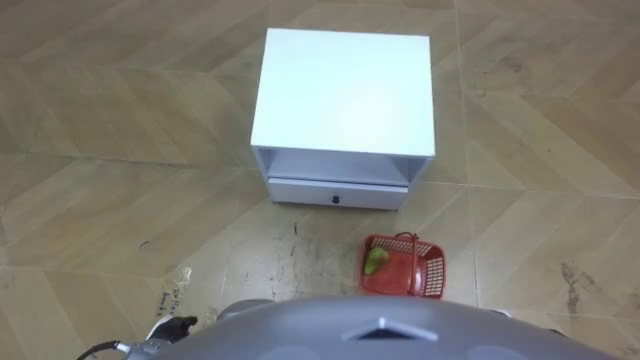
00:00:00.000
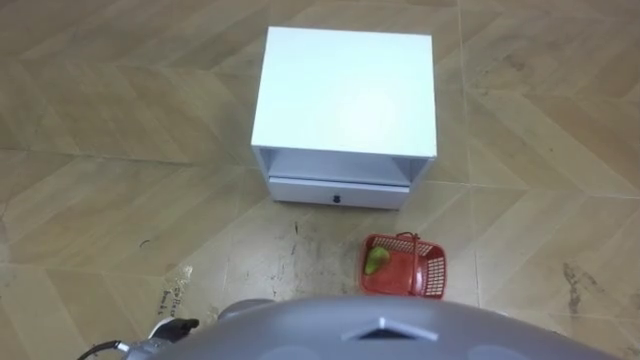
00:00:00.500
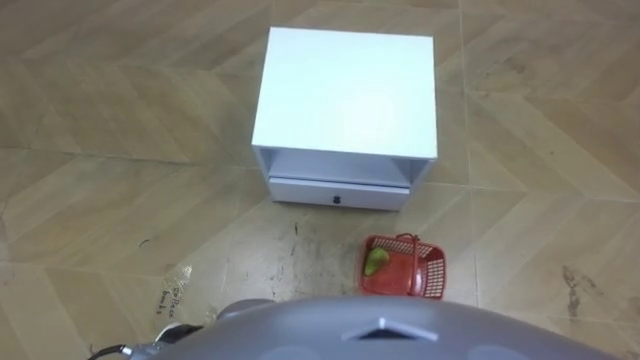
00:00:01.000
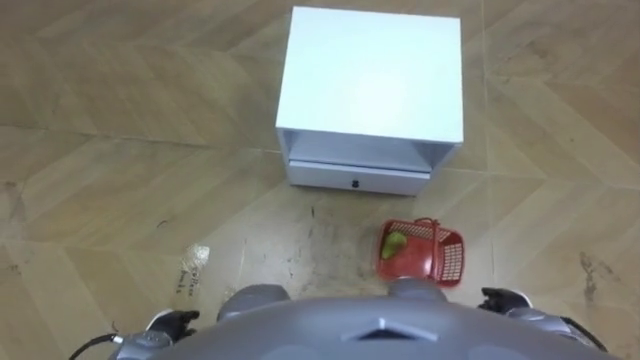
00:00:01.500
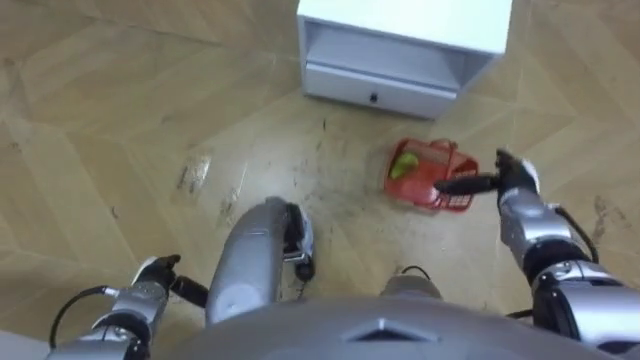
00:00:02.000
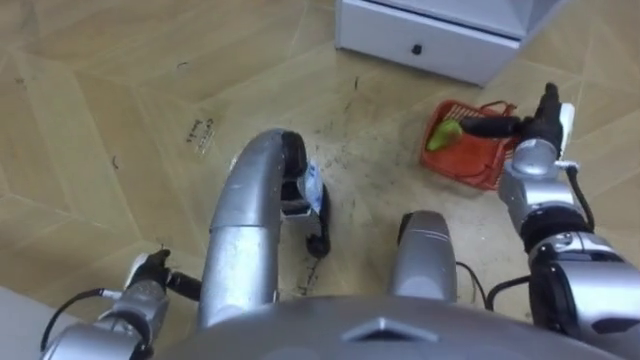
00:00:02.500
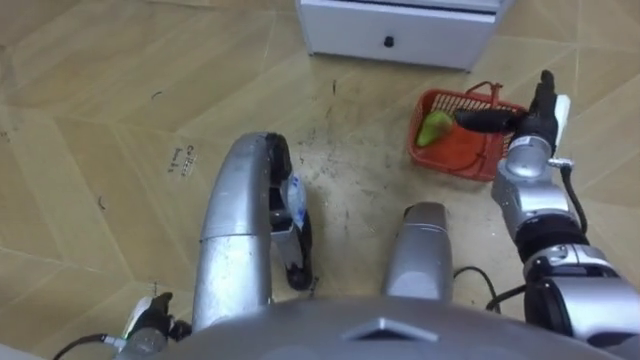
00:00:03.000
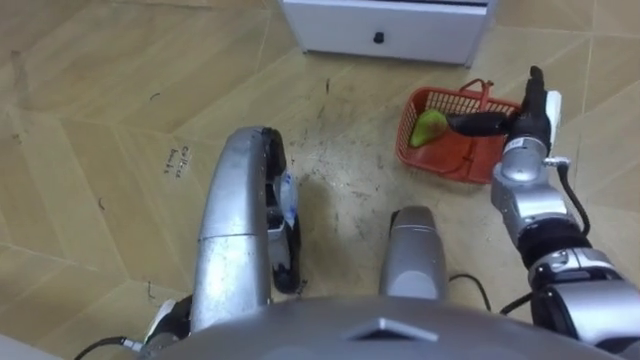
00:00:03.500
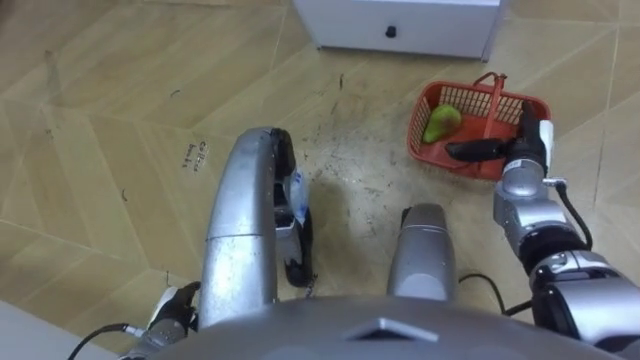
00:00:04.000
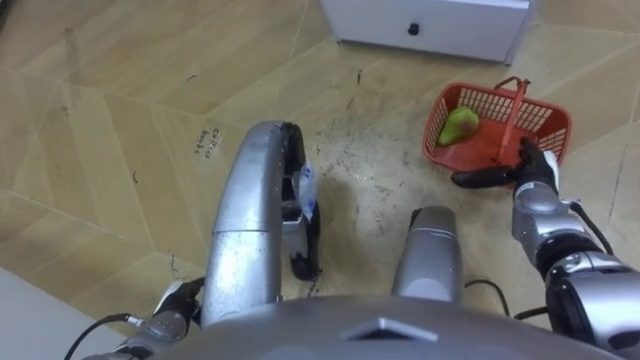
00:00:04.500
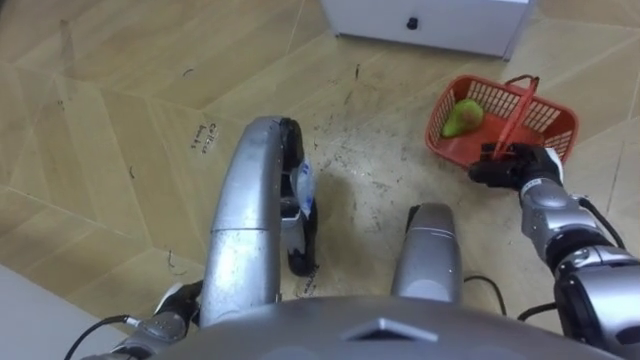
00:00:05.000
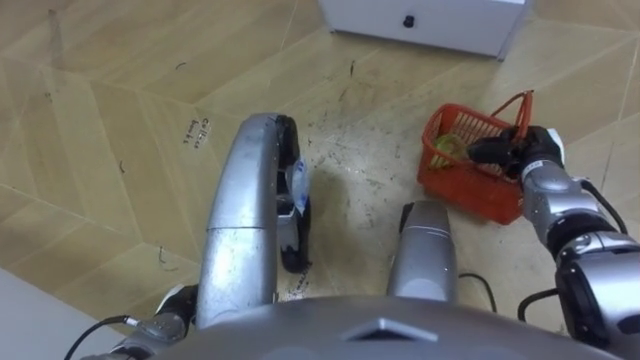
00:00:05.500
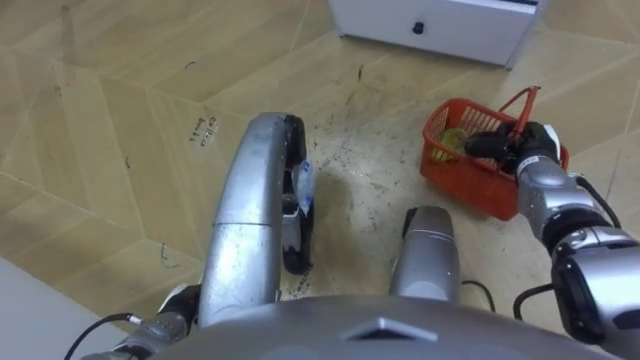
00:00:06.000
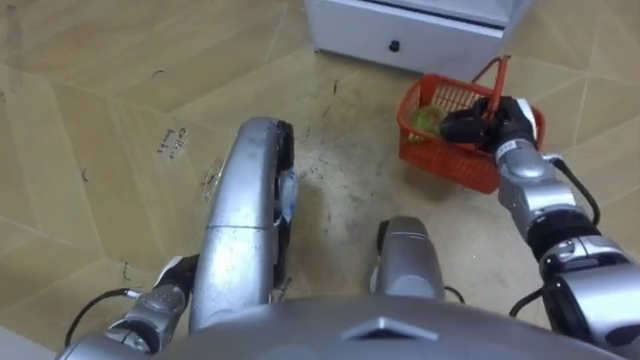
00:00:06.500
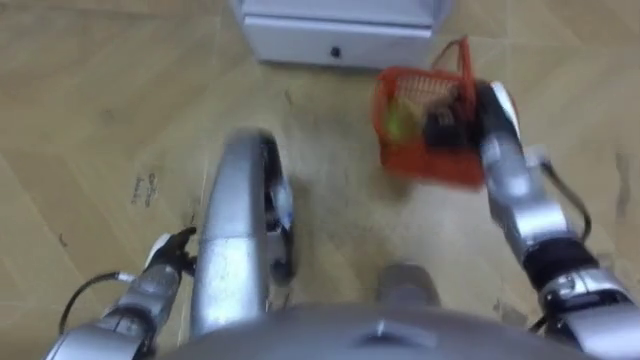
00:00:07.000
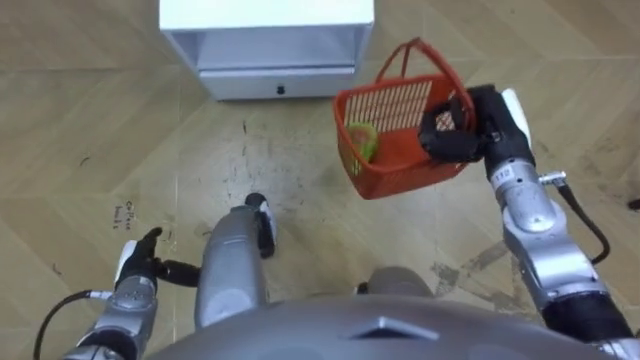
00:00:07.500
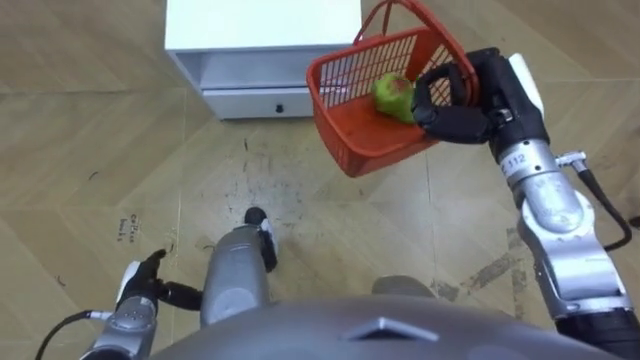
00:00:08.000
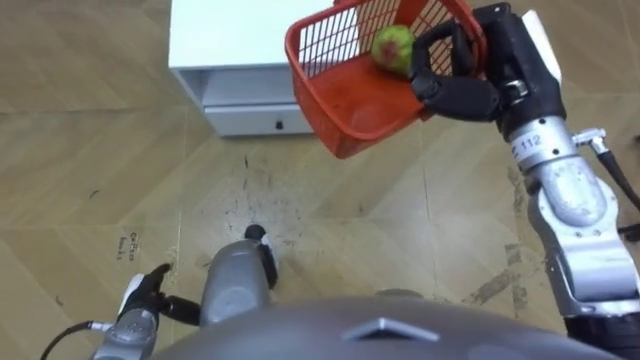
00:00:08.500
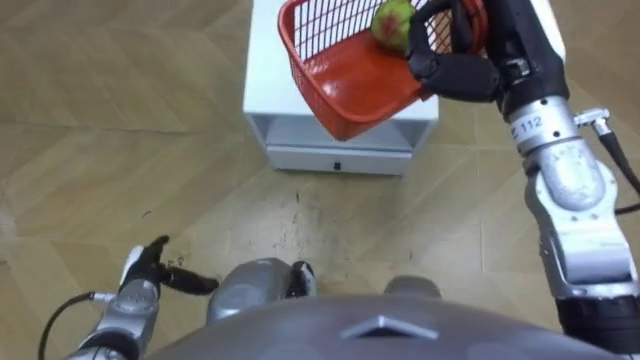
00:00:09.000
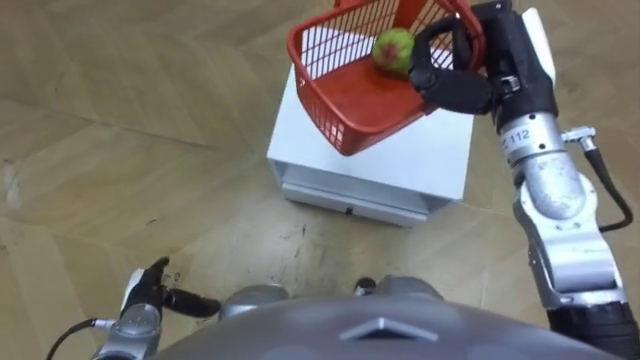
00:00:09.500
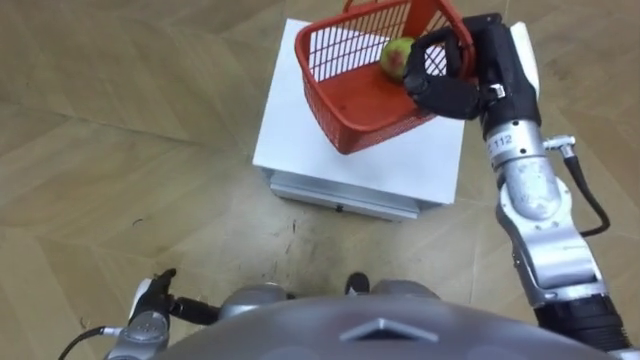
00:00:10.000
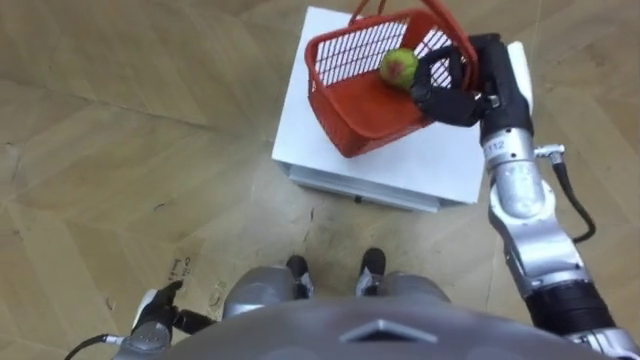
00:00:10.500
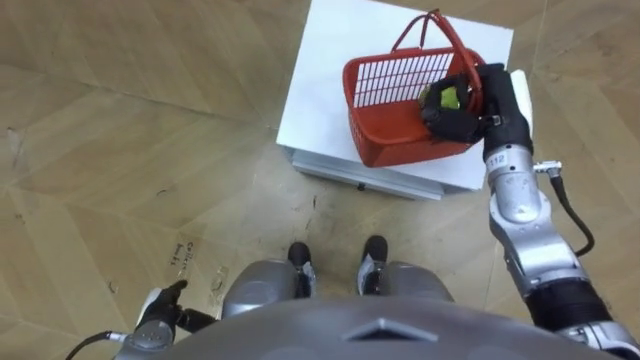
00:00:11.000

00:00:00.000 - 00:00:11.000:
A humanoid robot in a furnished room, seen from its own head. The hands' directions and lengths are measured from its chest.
Task of the whole recording: Pick up the fruit basket from the floor and place it on the cabinet.
00:00:02.000 - 00:00:03.500: The left hand moves backward, roughly 5 cm. The right hand moves upward and forward, approximately 10 cm.
00:00:03.500 - 00:00:05.500: The right hand ends up roughly 5 cm from where it was, and closes up.
00:00:05.500 - 00:00:07.500: The robot turns to its right by roughly 20 degrees. The left hand shifts about 10 cm forward and to the left, while the right hand goes some 10 cm upward and to the left.
00:00:07.500 - 00:00:09.000: The right hand shifts some 15 cm upward.
00:00:09.000 - 00:00:11.000: The left hand shifts roughly 5 cm backward. The right hand travels downward by about 10 cm.

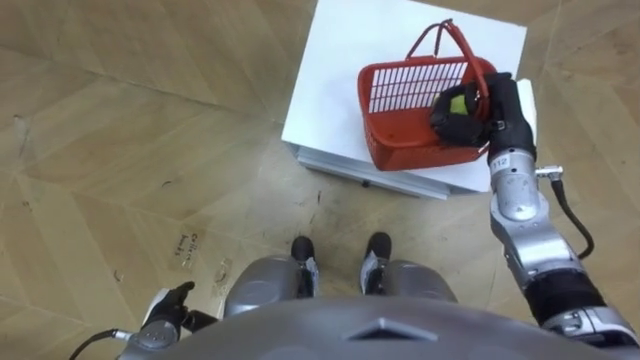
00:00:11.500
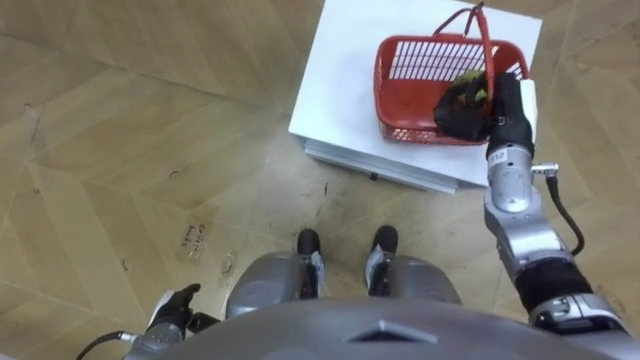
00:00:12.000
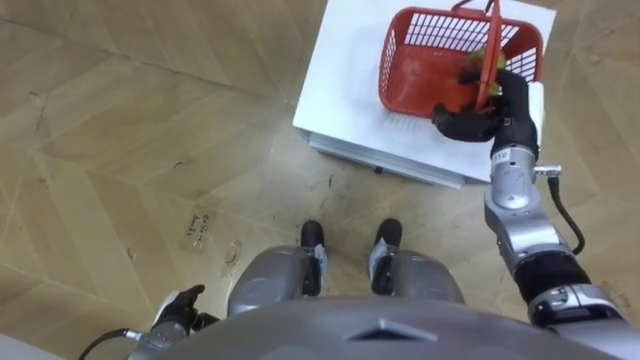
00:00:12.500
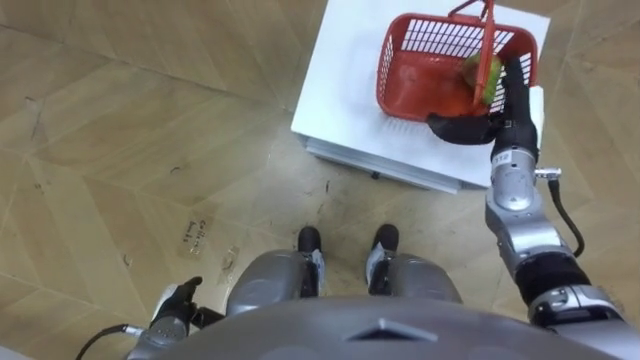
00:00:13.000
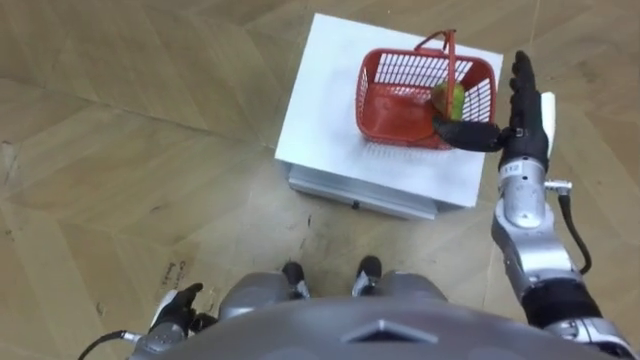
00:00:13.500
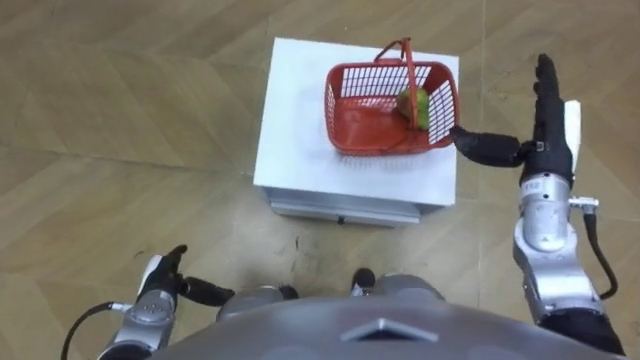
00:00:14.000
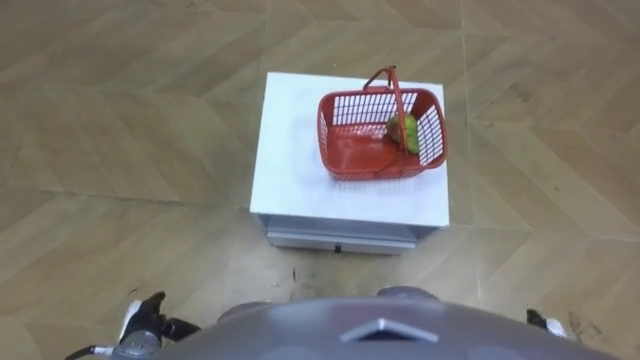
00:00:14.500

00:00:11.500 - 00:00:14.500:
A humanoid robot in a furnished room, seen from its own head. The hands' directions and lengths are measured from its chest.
Task of the whole recording: Pick up the fruit basket from the floor and place it on the cabinet.
00:00:11.500 - 00:00:13.000: The right hand opens its fingers.
00:00:13.000 - 00:00:14.500: The right hand travels backward and downward by about 30 cm.

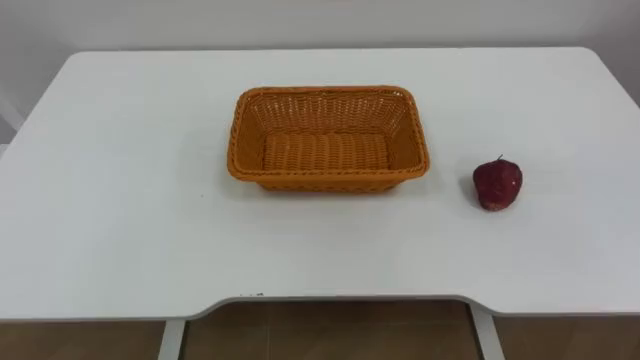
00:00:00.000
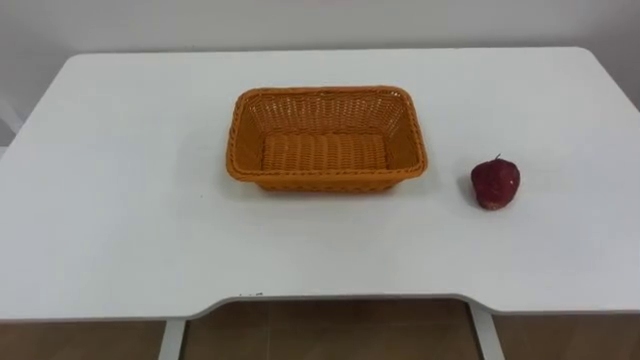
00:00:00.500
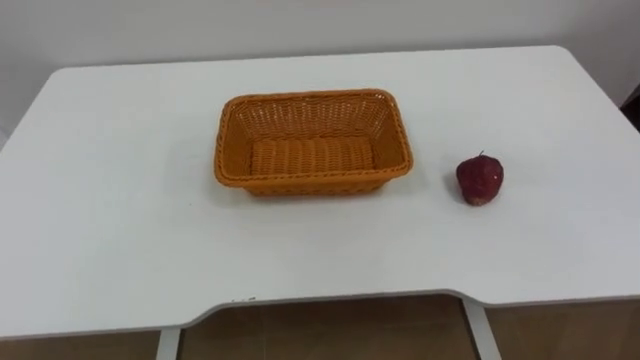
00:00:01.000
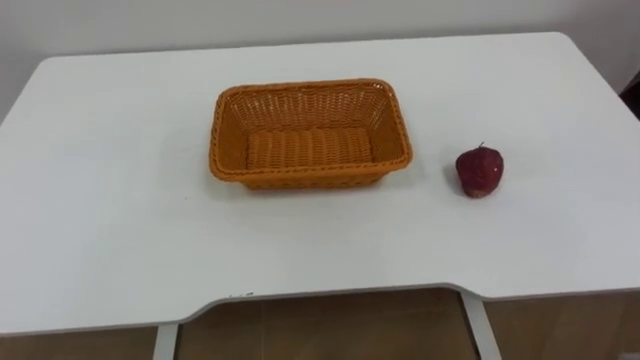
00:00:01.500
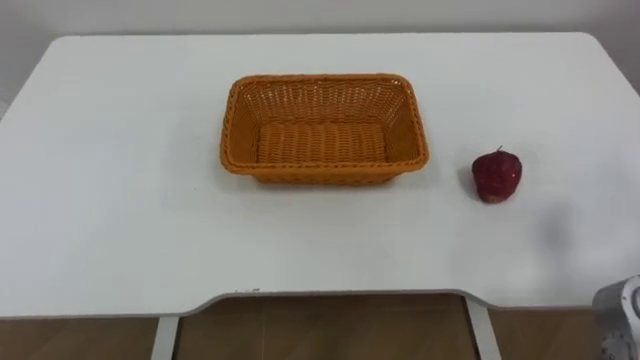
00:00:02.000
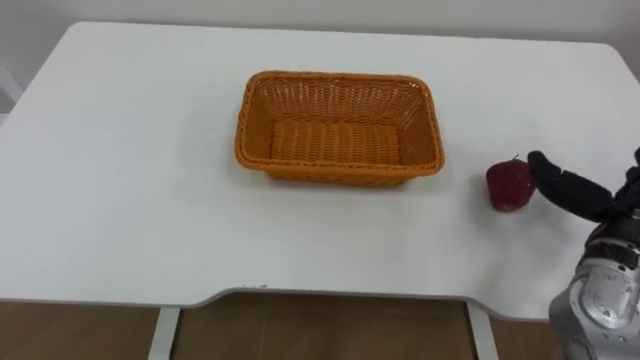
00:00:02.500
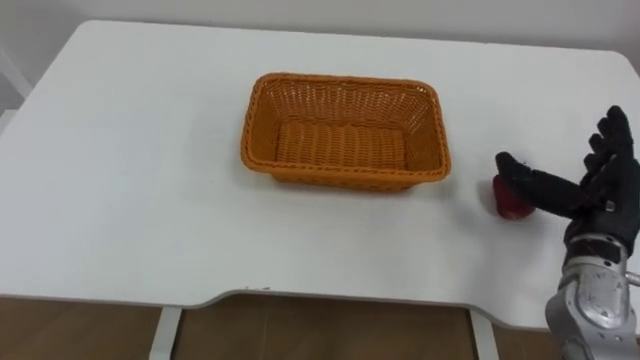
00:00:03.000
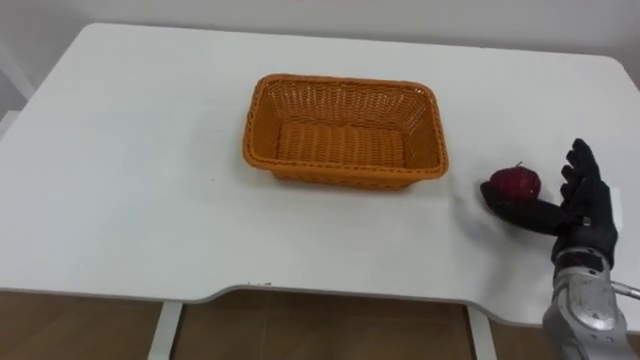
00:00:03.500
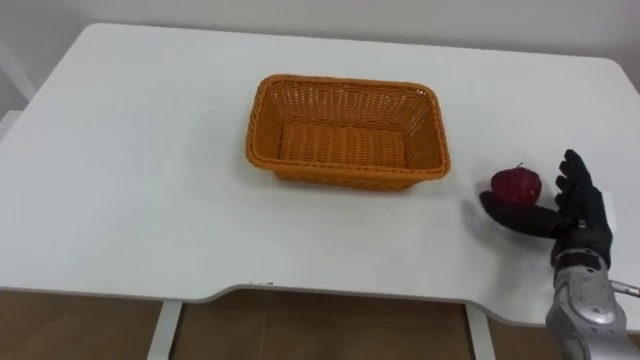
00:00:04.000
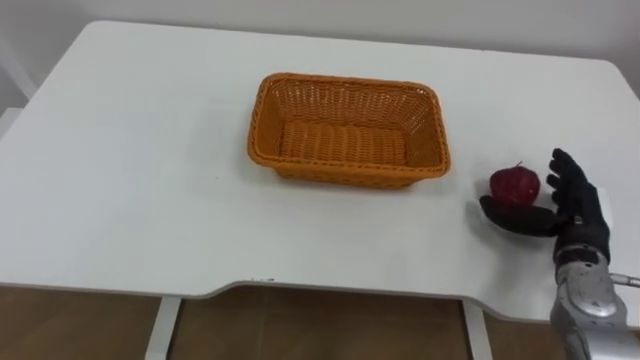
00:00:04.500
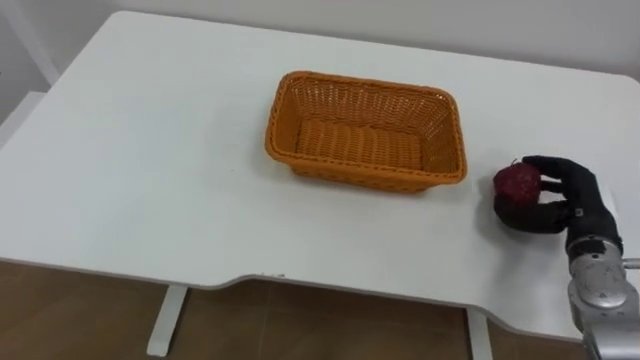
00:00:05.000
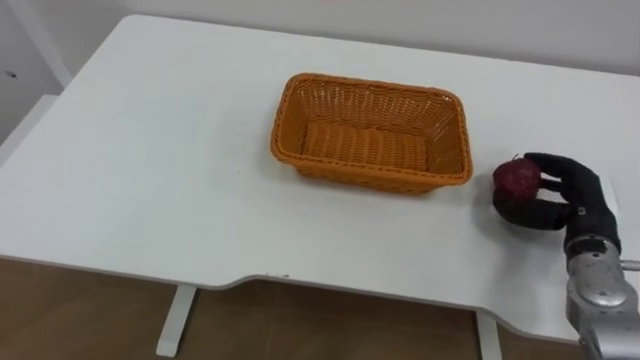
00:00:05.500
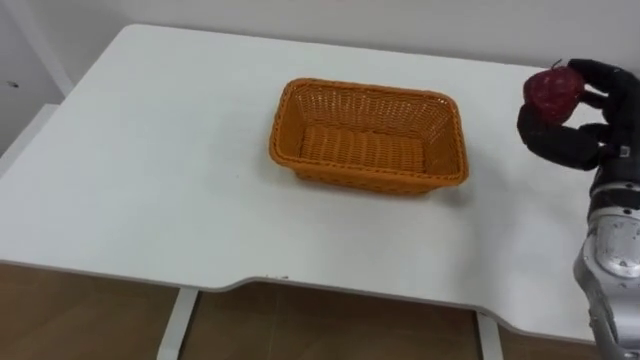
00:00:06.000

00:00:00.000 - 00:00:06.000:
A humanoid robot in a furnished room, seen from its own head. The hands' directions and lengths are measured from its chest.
Task of the whole recording: Pick the apple and place it in the box.
00:00:04.000 - 00:00:06.000: The right hand travels upward by roughly 10 cm, and closes its fingers.
